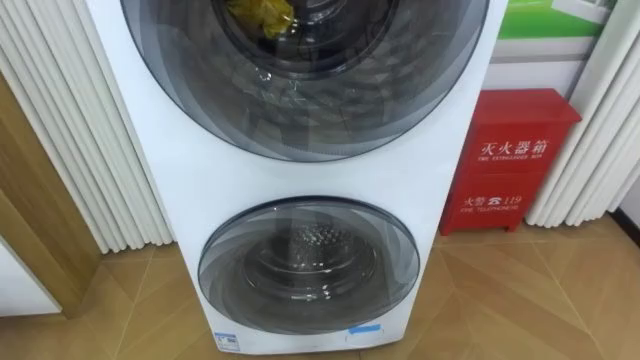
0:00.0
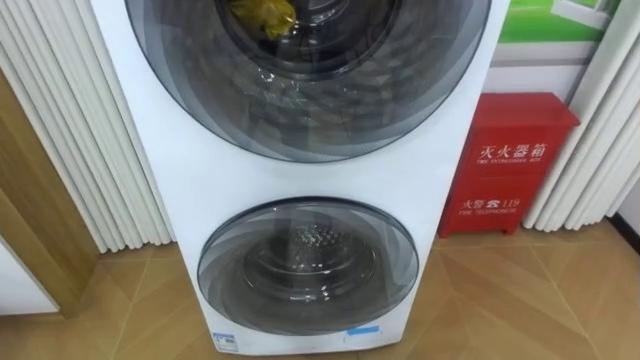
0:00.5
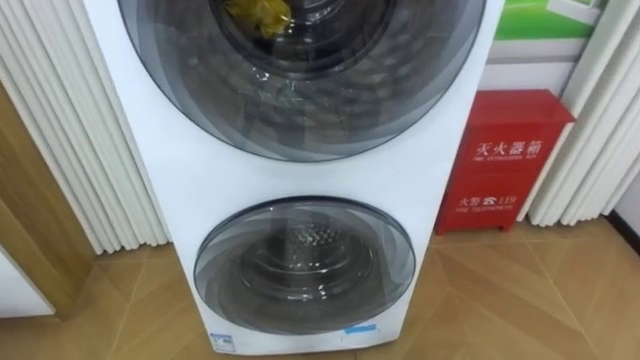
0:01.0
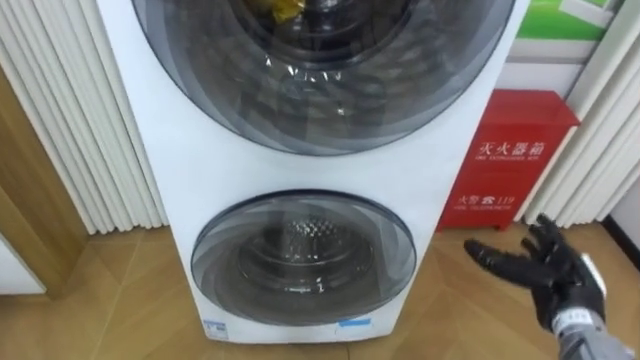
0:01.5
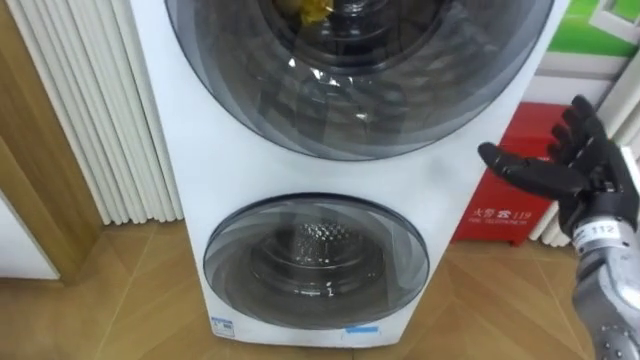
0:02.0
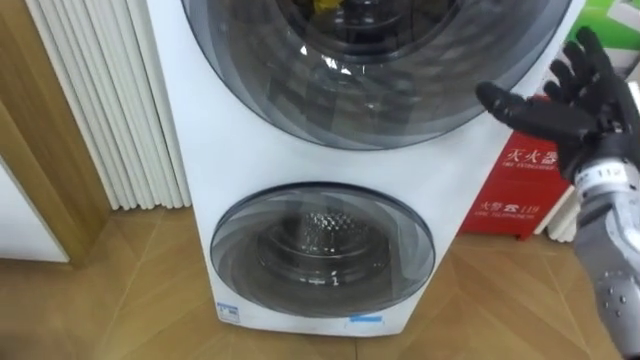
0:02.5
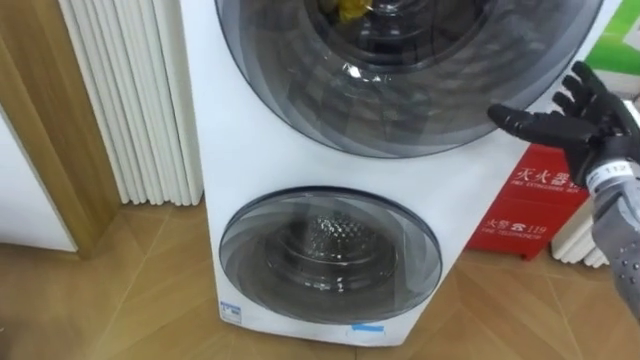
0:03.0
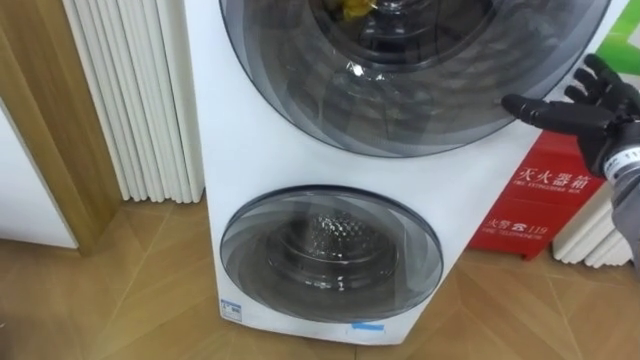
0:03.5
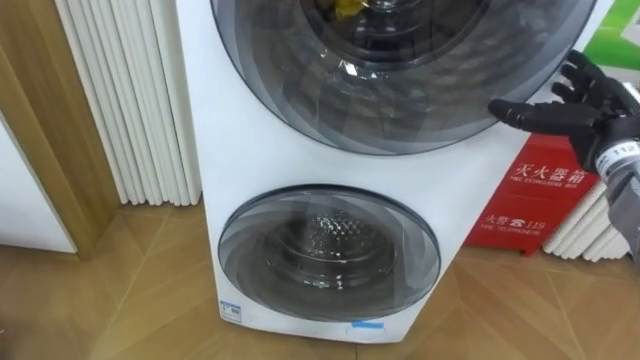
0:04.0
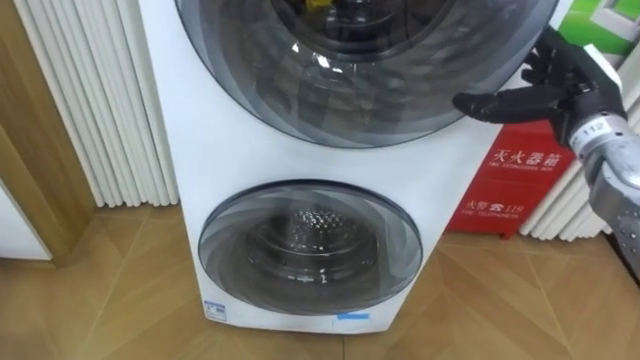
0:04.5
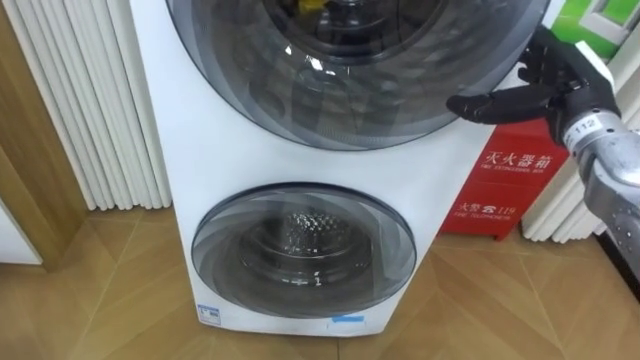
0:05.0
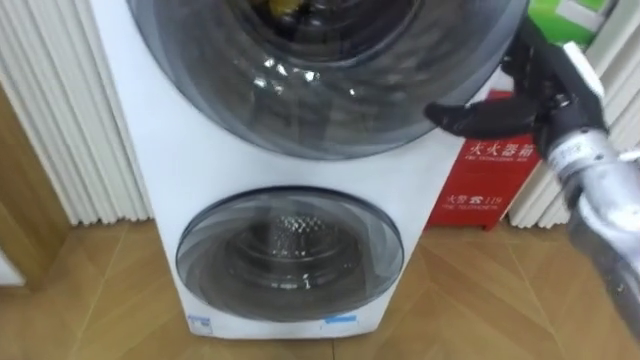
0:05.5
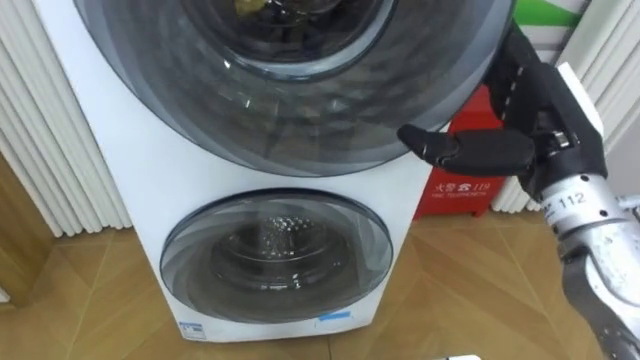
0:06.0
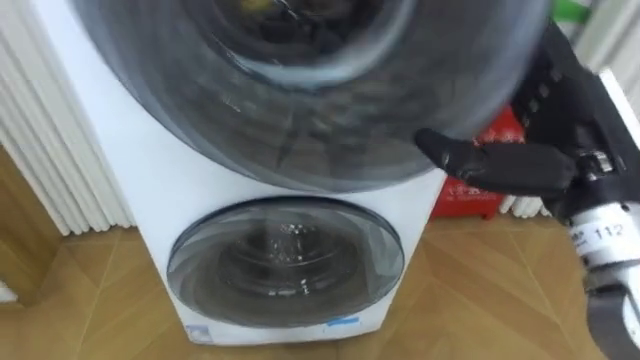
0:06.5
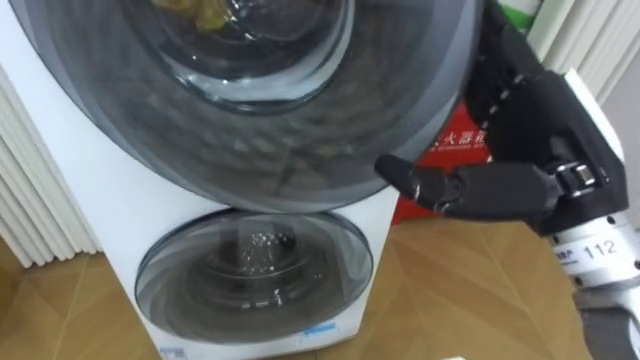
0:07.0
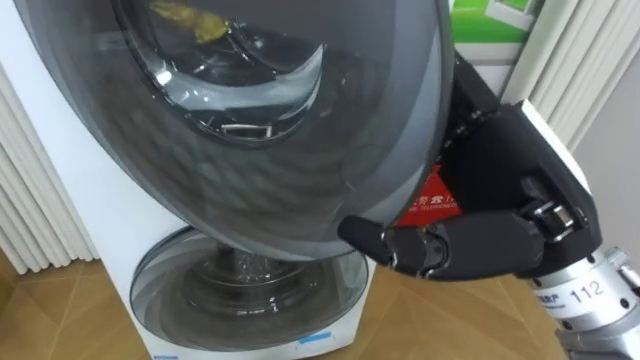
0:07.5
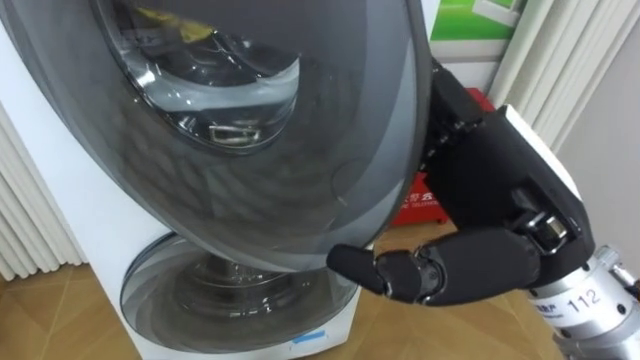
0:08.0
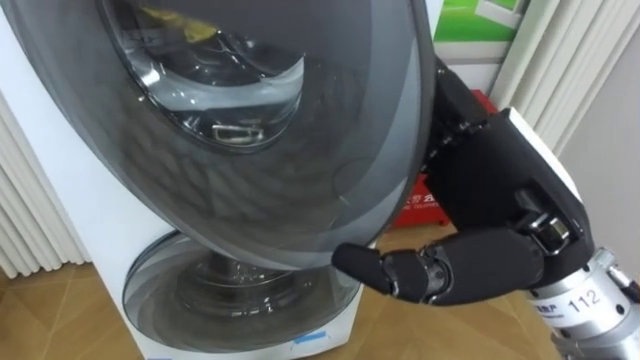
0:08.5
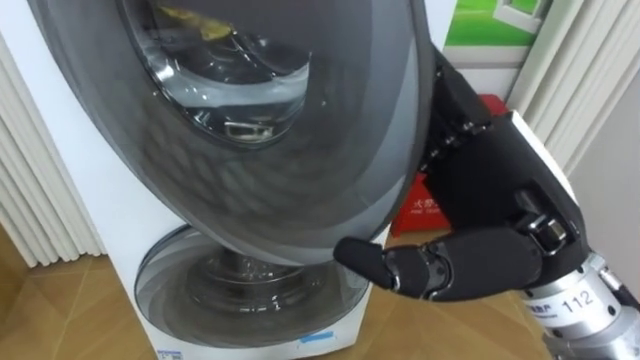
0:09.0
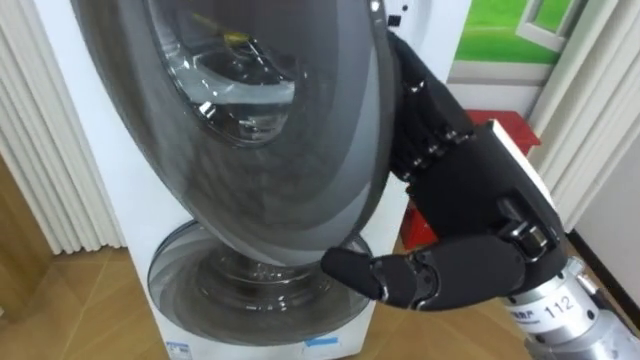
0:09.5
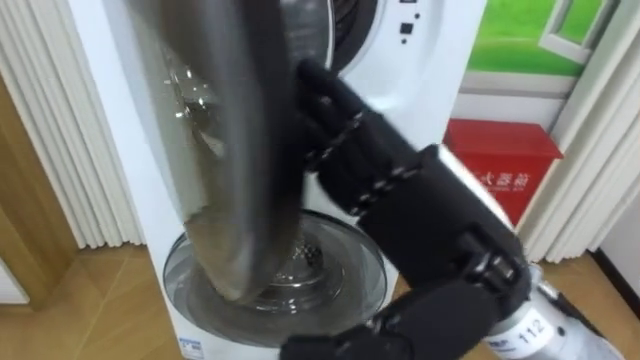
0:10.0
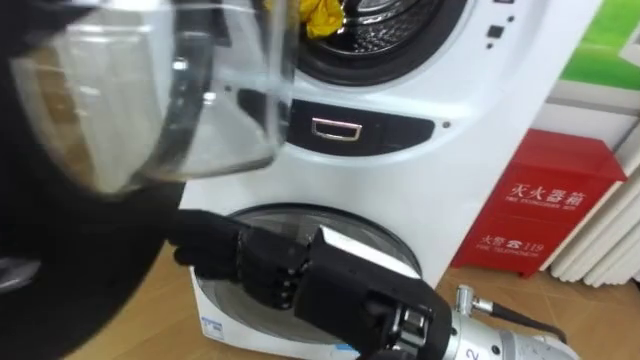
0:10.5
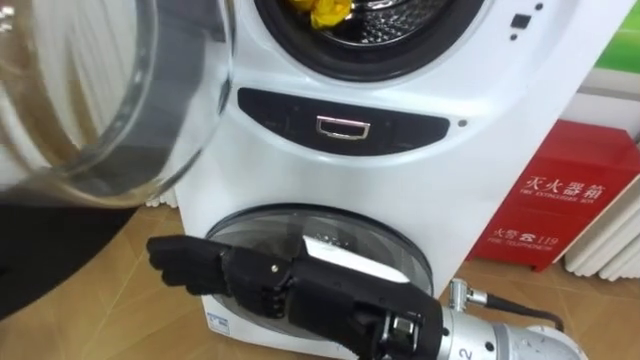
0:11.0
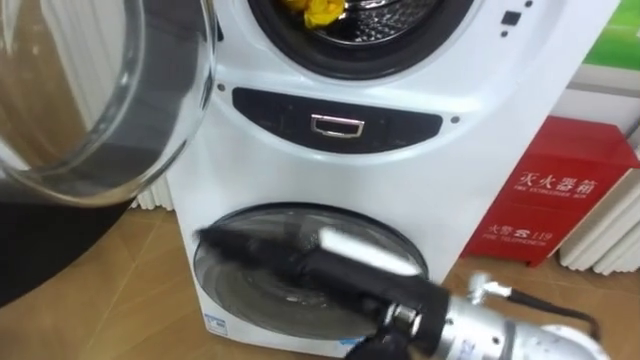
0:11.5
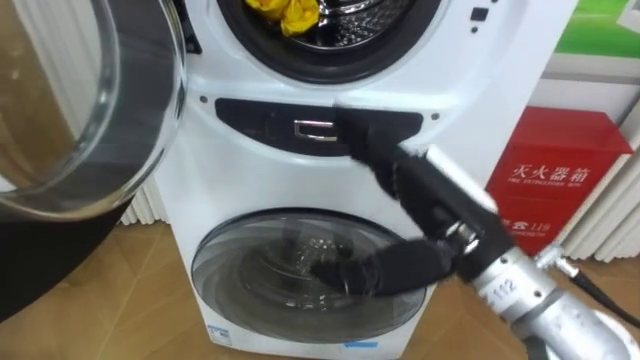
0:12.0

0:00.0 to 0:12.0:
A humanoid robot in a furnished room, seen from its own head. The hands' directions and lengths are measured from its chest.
Task of the whole recording: Open the washing machine door, take out the yellow clothes, place them in the box on the right, and close the washing machine door.
0:02.0 to 0:04.0: The right hand goes roughly 5 cm forward.
0:04.0 to 0:06.0: The right hand is displaced to the left, backward and upward by approximately 15 cm.
0:06.0 to 0:08.0: The right hand moves backward and to the left, some 10 cm.
0:08.0 to 0:10.0: The right hand changes place by roughly 5 cm.
0:10.0 to 0:12.0: The right hand heads forward, covering some 5 cm, and moves some 5 cm to the left and comes back.

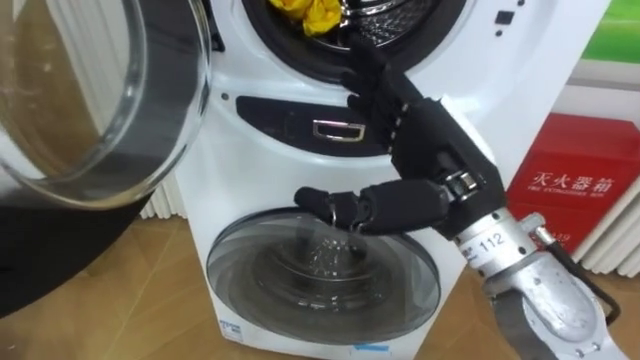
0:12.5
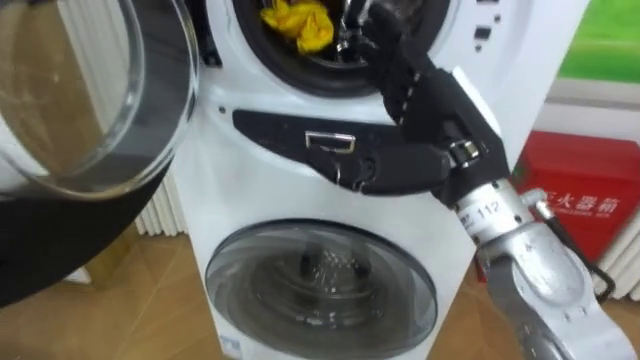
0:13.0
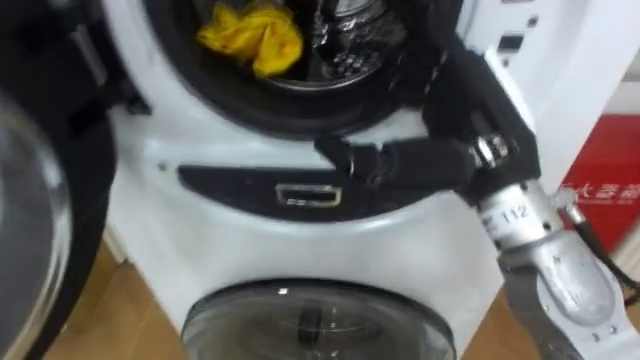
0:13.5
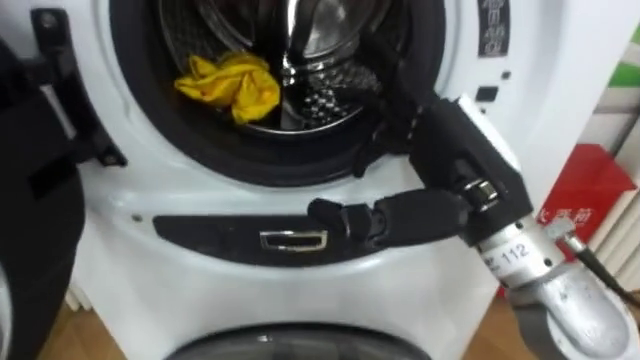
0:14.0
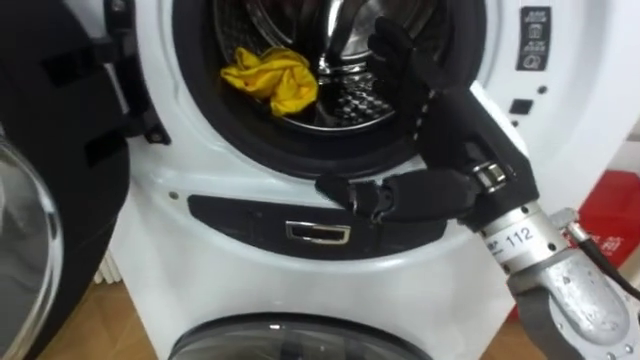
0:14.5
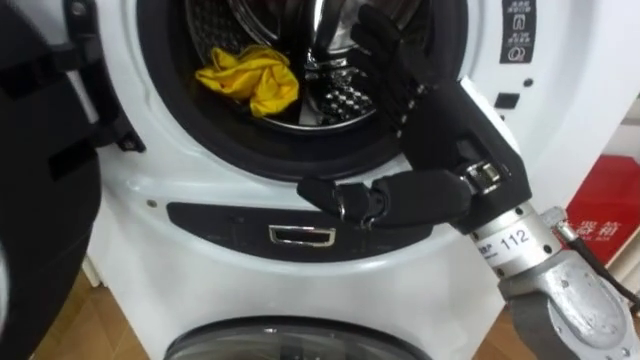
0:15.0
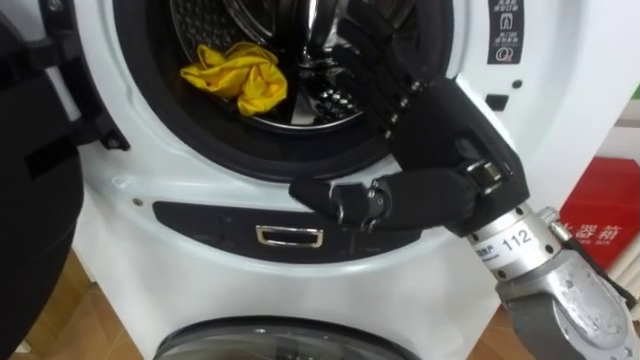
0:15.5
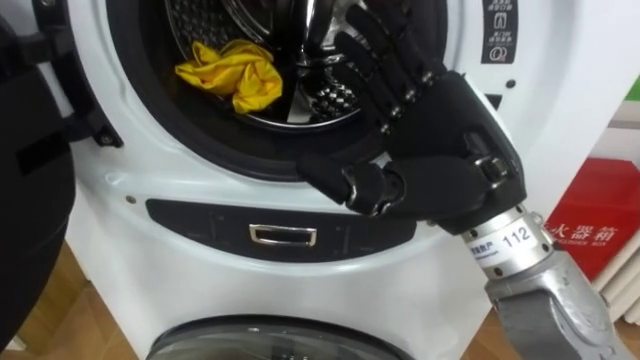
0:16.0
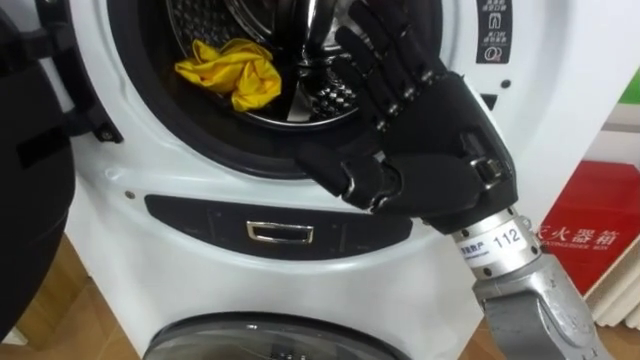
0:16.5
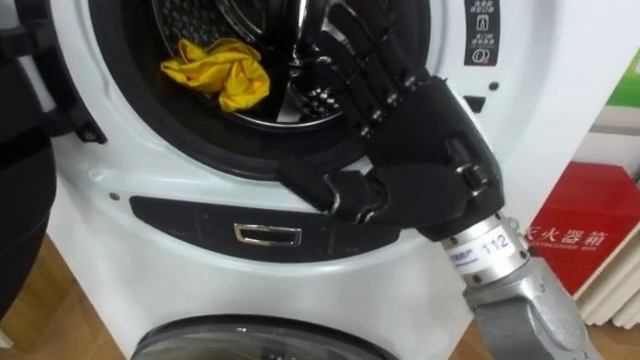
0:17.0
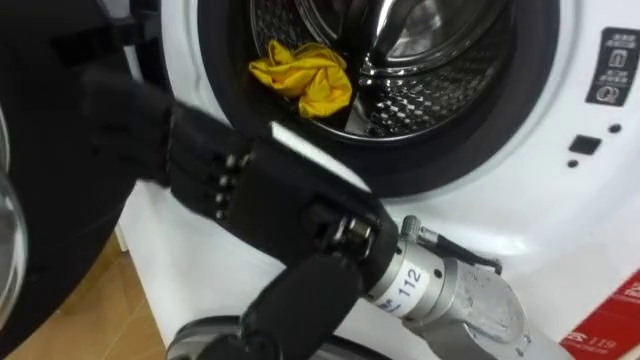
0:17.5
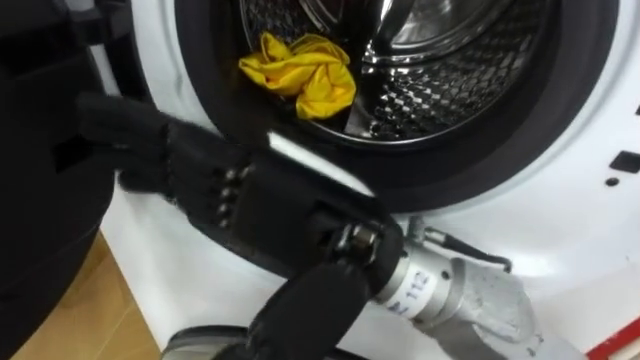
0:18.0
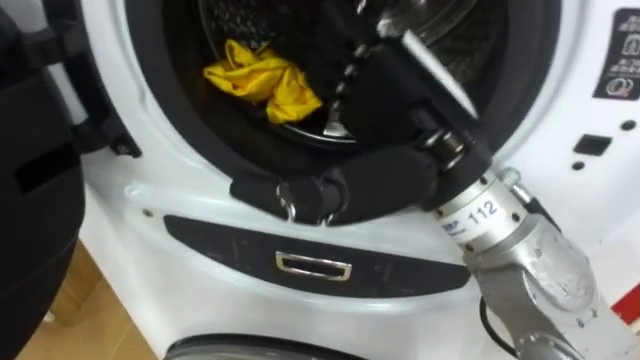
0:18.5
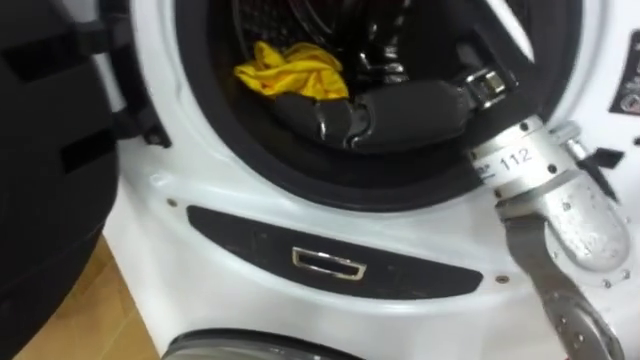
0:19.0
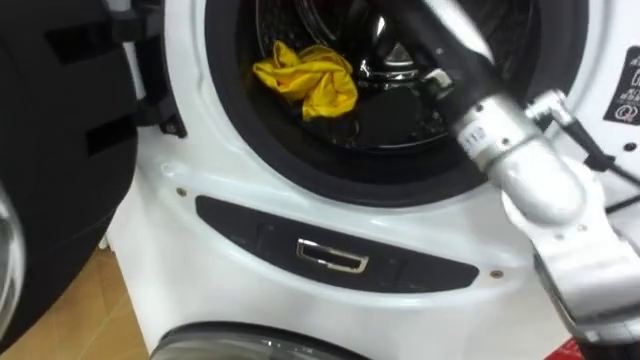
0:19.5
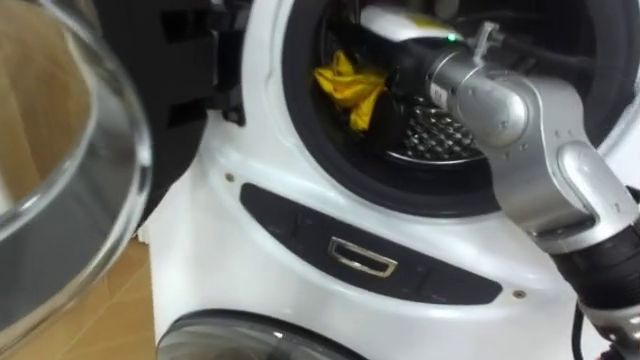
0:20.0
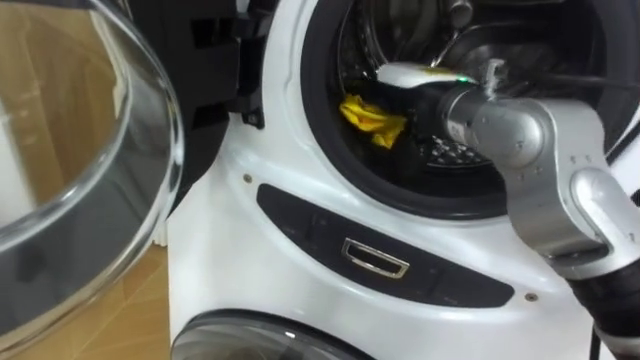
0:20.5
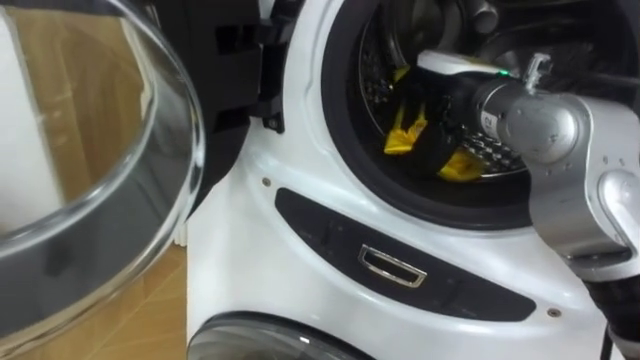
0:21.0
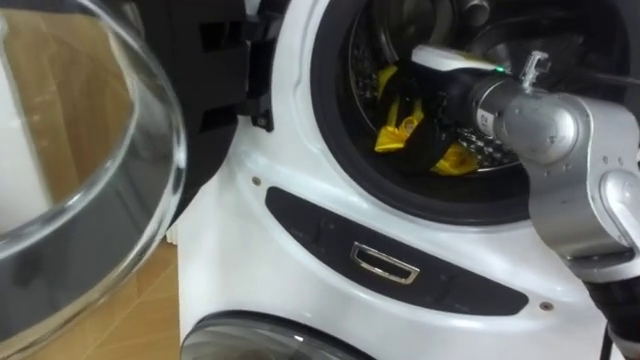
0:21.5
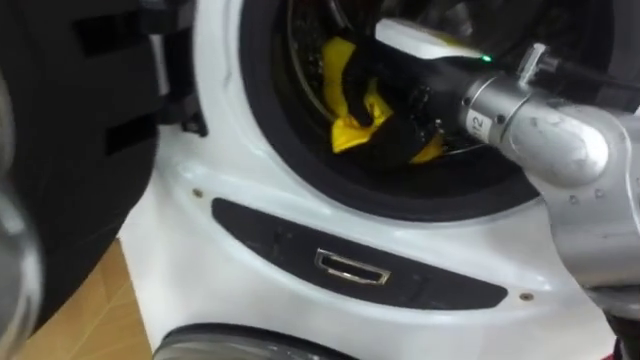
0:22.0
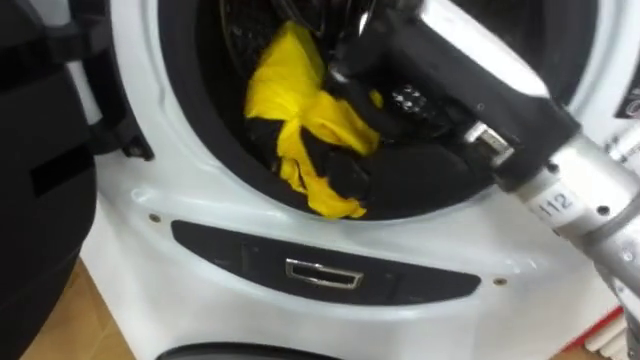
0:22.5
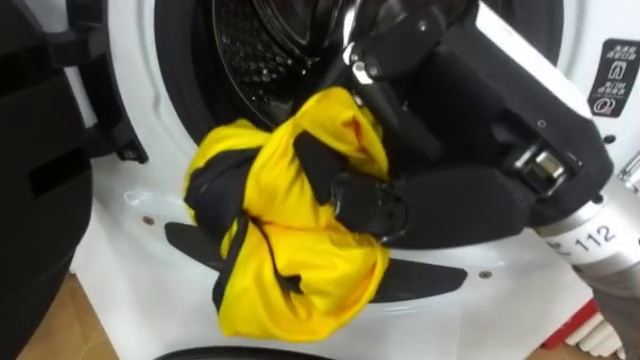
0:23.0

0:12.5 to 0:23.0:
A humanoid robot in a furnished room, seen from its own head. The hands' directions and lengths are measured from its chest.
Task of the whole recording: Open the washing machine door, take out the yellow clothes, place them in the box on the right, and close the washing machine door.
0:16.5 to 0:19.0: The right hand shifts about 5 cm upward, and travels to the left and back again, approximately 10 cm each way.
0:19.0 to 0:21.0: The right hand goes approximately 15 cm forward and downward, and closes.
0:21.0 to 0:23.0: The right hand goes some 20 cm backward and upward.
